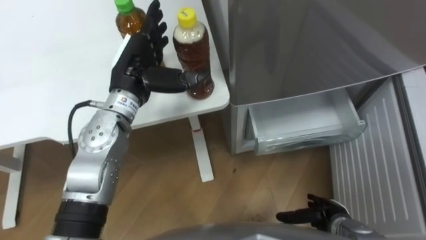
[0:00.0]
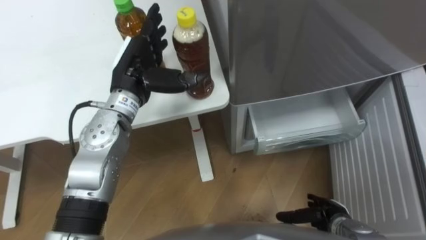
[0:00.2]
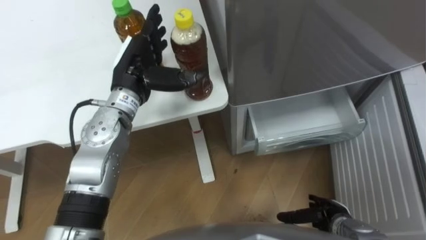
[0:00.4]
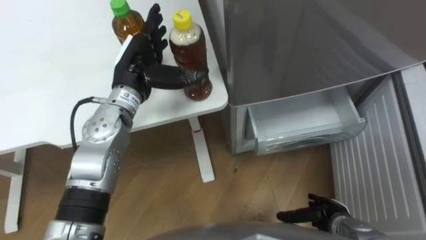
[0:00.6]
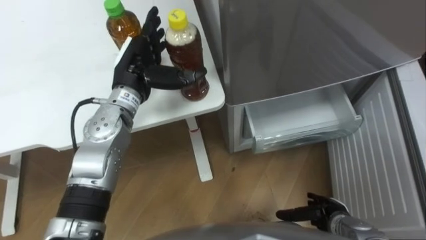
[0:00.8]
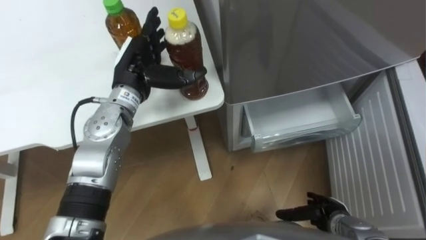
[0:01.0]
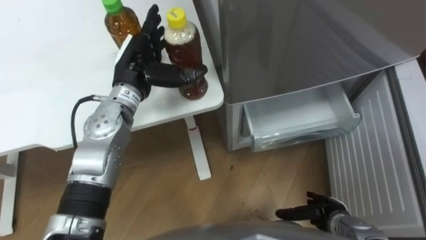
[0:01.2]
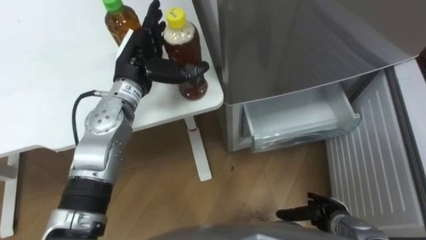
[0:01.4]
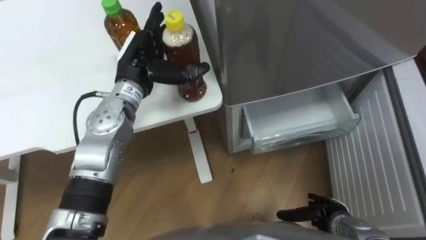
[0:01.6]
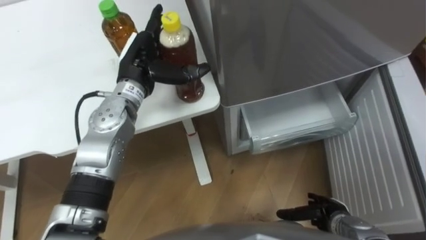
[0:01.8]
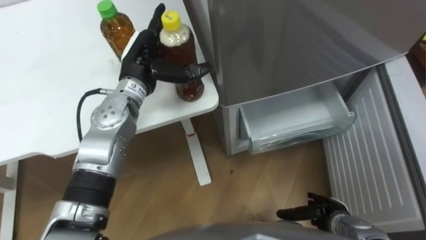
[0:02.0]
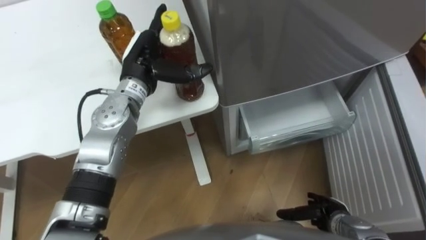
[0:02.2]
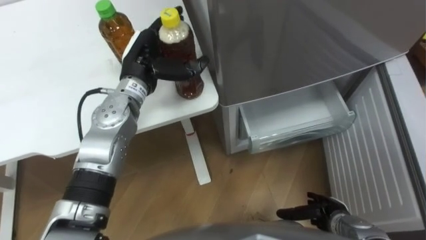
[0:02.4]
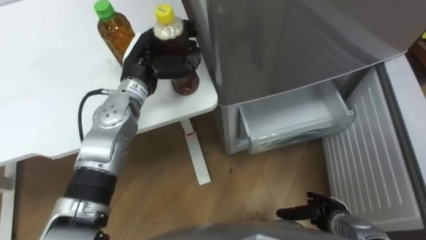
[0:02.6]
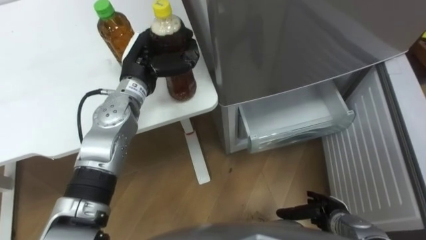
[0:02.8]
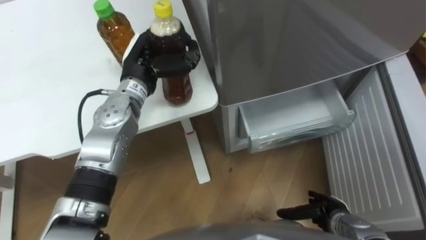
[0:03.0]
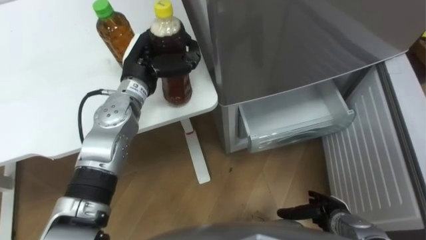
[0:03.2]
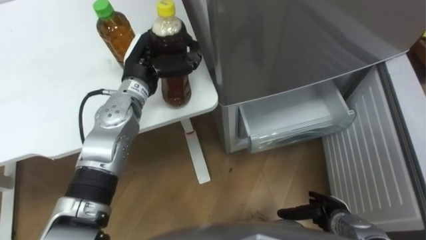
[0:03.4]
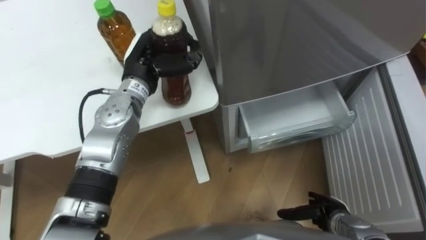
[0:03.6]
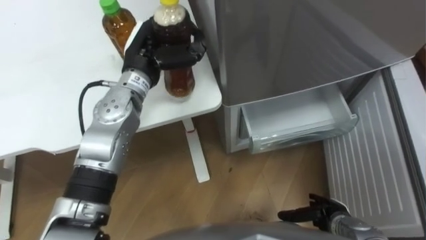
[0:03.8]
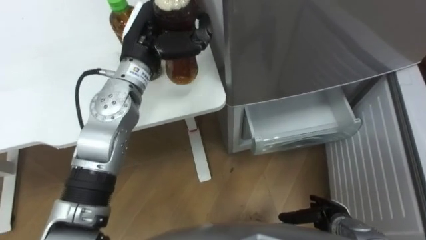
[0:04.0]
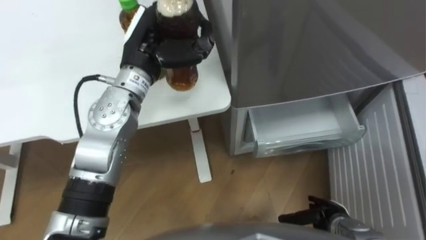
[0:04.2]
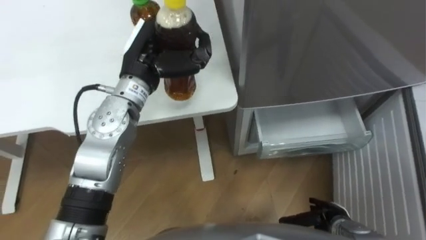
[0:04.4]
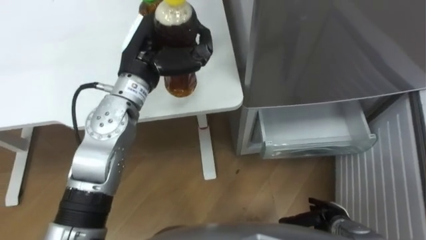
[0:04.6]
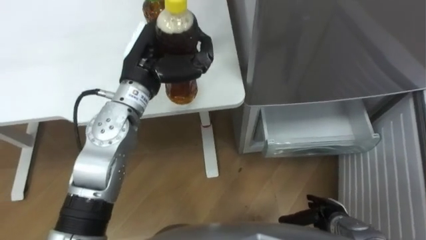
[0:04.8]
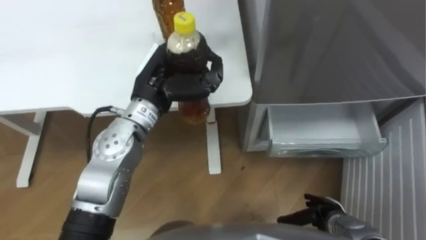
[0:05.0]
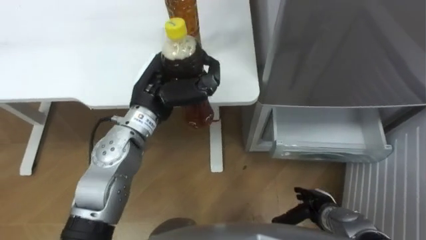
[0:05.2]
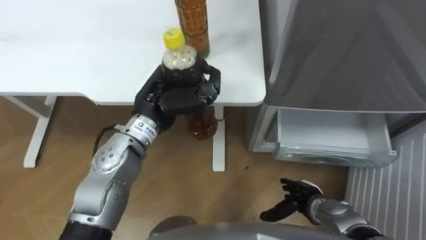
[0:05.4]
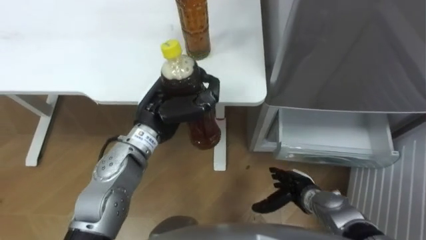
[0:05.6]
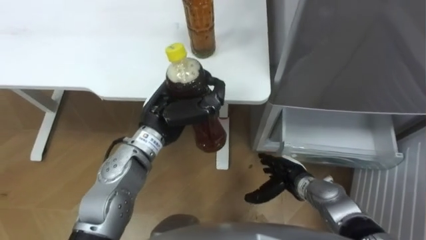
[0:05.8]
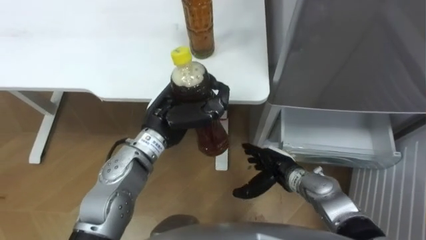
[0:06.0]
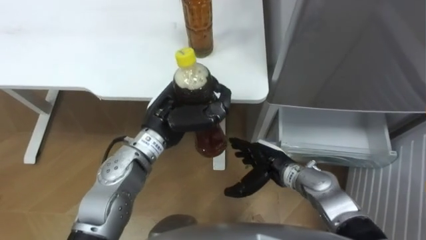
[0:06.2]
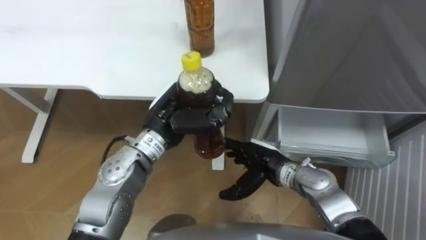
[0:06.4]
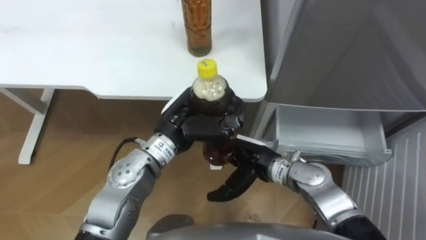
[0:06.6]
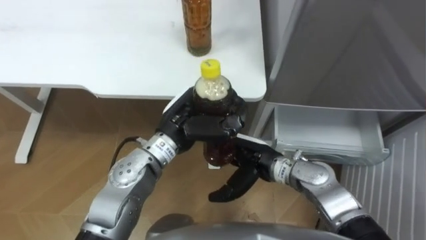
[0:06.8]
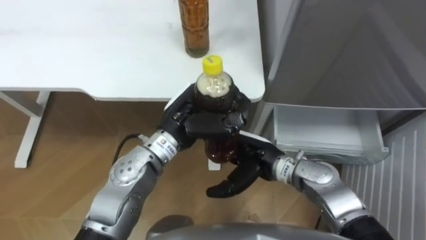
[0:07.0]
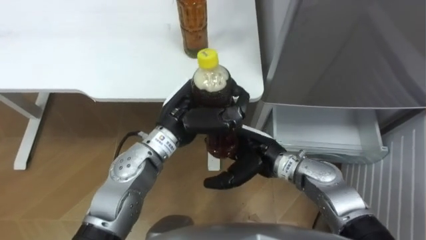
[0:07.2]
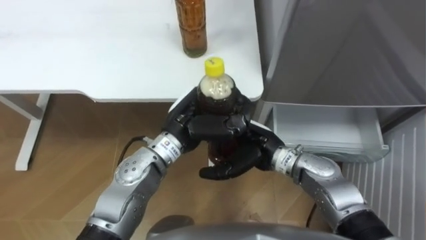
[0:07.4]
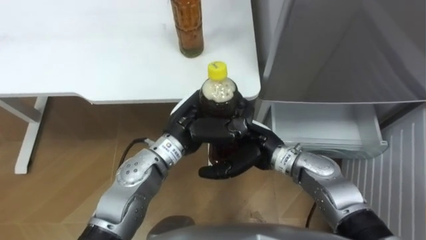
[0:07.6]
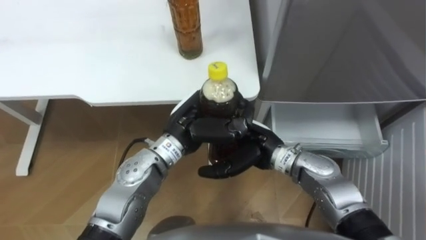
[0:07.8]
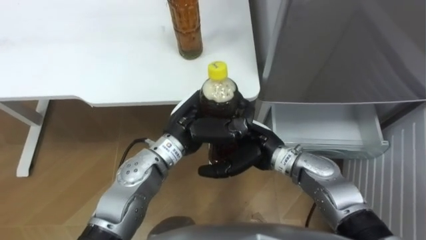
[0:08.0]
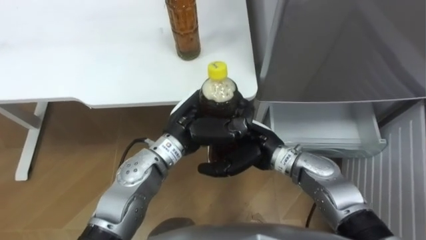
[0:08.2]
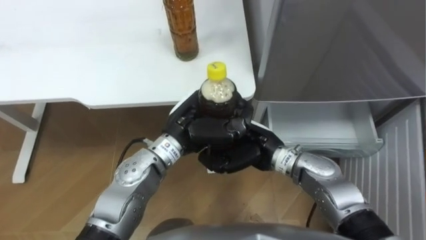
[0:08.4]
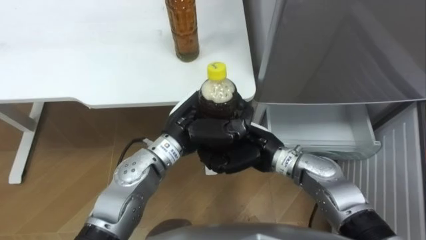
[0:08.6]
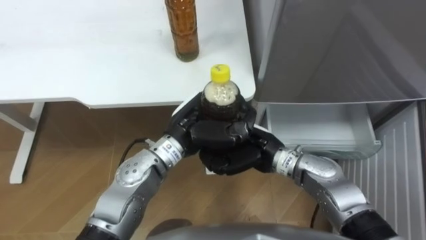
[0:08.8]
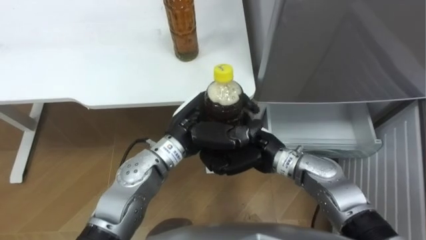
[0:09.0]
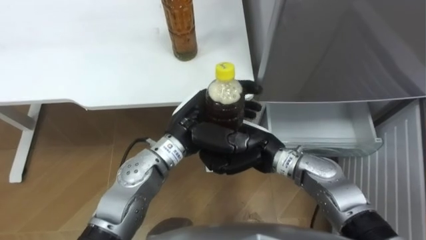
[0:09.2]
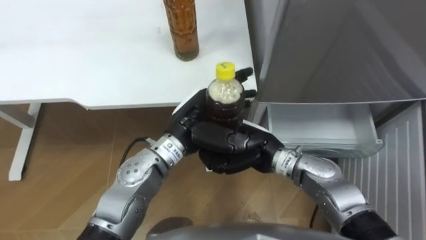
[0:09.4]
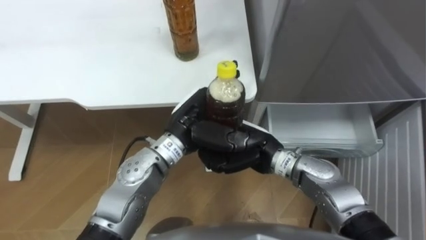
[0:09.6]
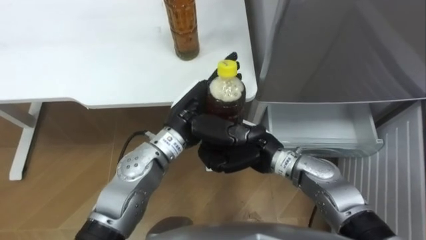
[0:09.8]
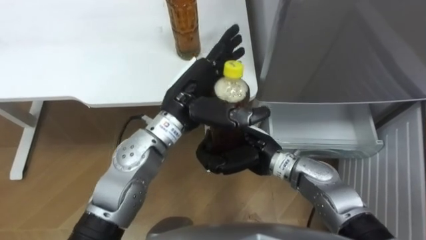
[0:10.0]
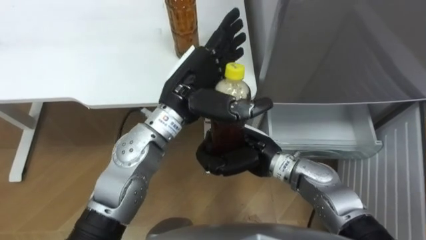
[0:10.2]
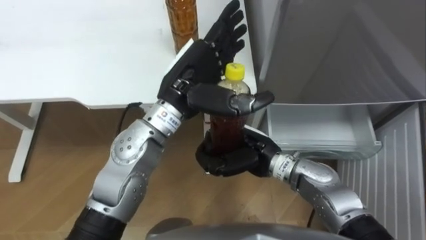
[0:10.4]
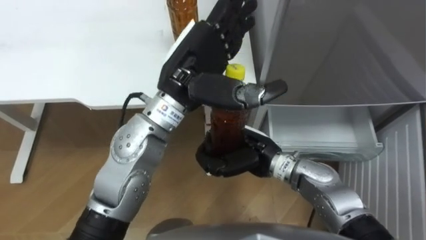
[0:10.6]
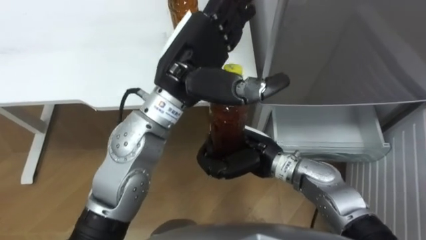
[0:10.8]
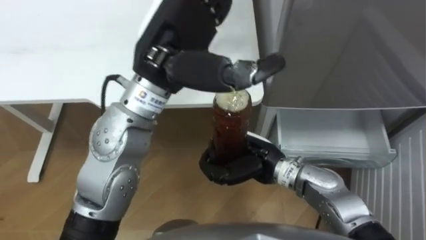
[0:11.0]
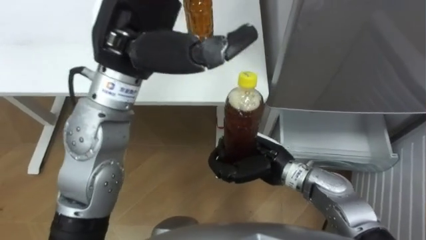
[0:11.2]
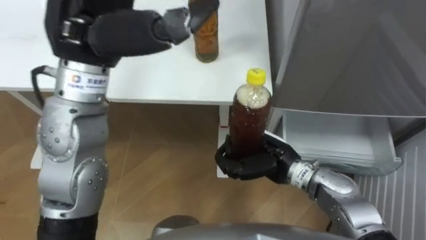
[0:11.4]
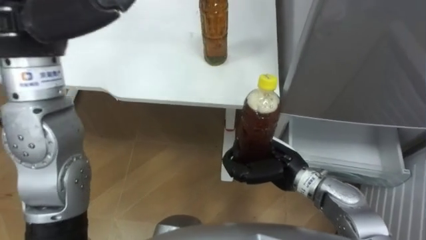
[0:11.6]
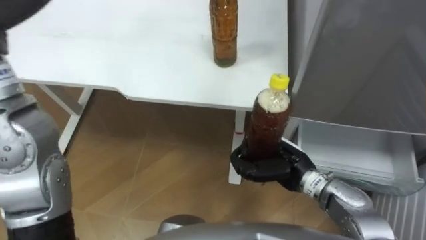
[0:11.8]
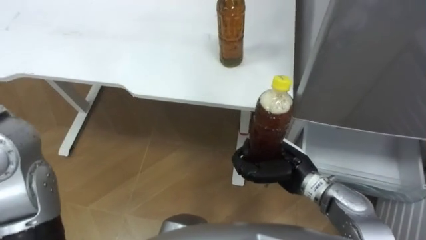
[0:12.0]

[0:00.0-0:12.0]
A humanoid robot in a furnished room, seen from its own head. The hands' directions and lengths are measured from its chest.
Task of the whole recording: Place the drink on the table on the bottom shelf of the refrigerator, then close the drawer and the refrigerator door.
0:01.6 to 0:03.0: The left hand closes up.
0:03.0 to 0:04.4: The left hand moves roughly 5 cm.
0:04.4 to 0:06.0: The left hand goes about 10 cm backward and downward, while the right hand goes about 15 cm to the left, forward and upward.
0:06.0 to 0:07.6: The right hand goes about 10 cm upward and to the left.
0:07.6 to 0:09.0: The right hand closes up.
0:09.0 to 0:10.4: The left hand heads upward, covering roughly 10 cm, and opens up.
0:10.4 to 0:12.0: The right hand heads to the right, covering about 10 cm.

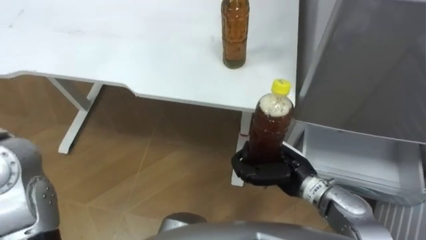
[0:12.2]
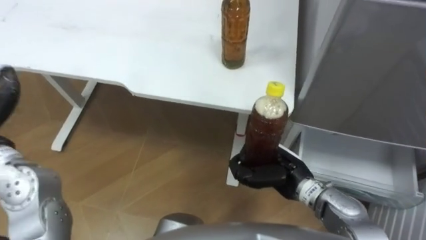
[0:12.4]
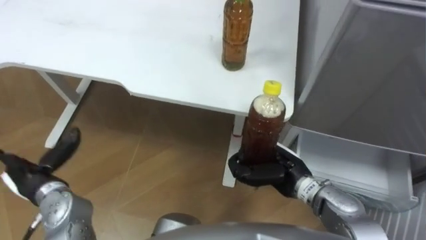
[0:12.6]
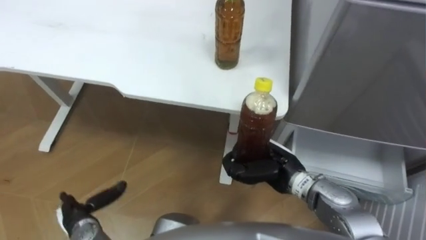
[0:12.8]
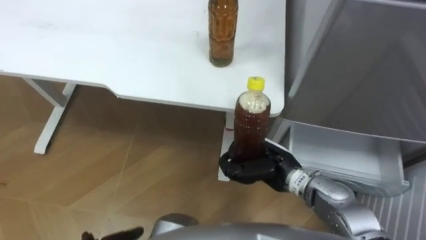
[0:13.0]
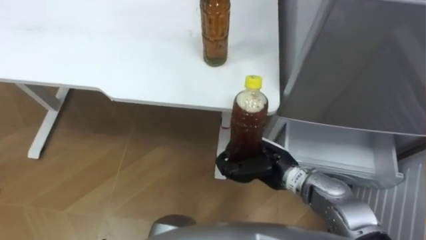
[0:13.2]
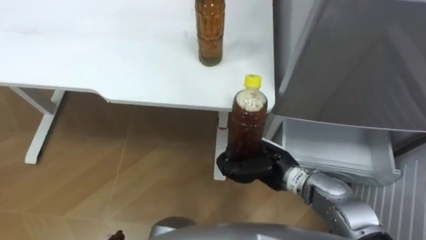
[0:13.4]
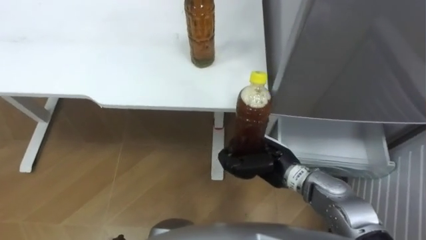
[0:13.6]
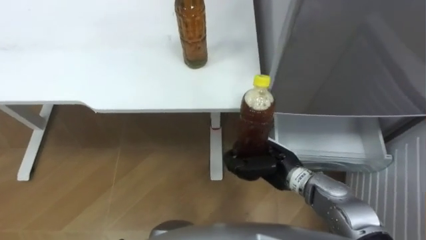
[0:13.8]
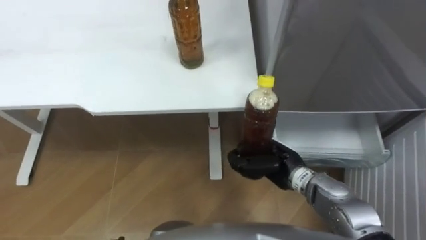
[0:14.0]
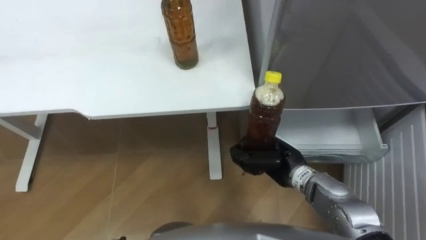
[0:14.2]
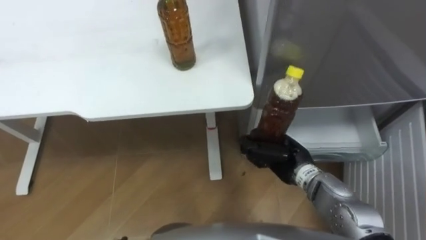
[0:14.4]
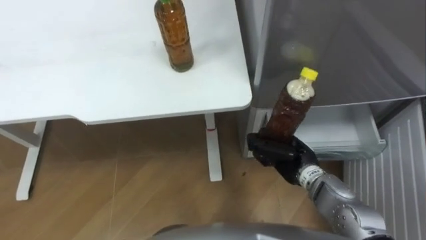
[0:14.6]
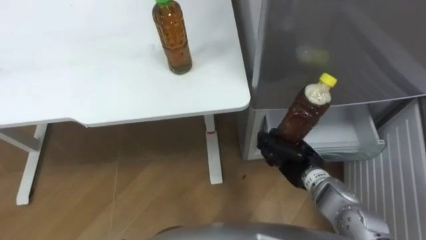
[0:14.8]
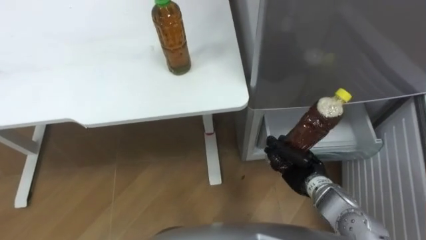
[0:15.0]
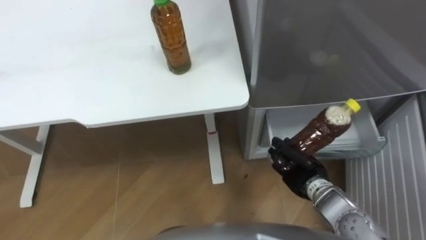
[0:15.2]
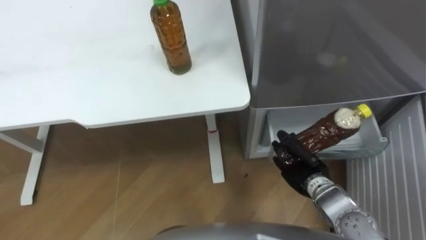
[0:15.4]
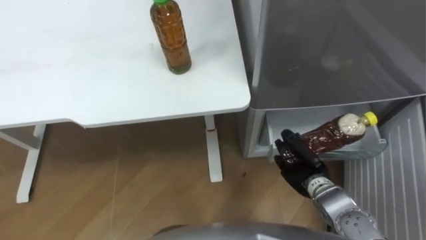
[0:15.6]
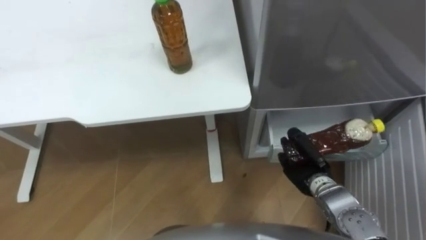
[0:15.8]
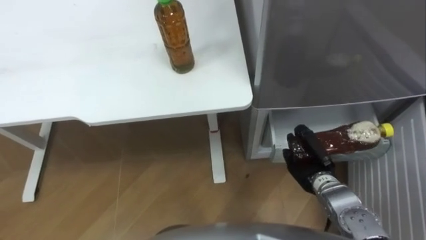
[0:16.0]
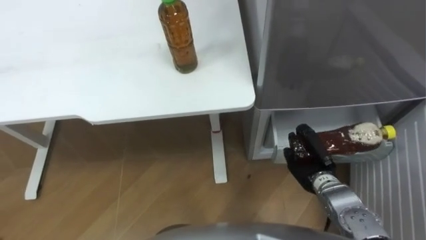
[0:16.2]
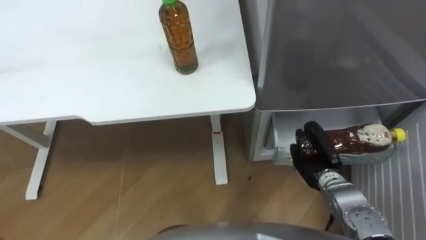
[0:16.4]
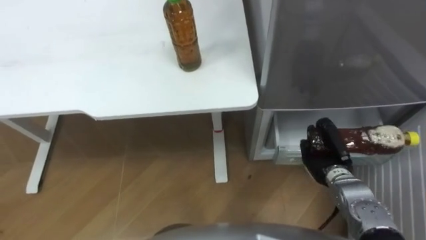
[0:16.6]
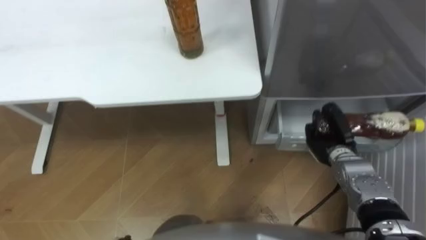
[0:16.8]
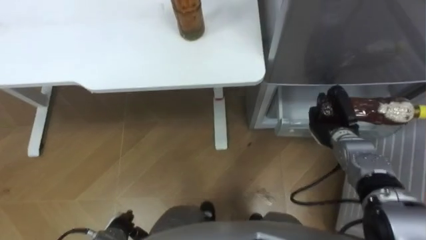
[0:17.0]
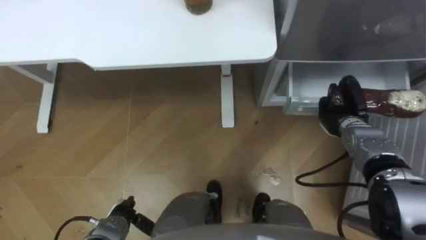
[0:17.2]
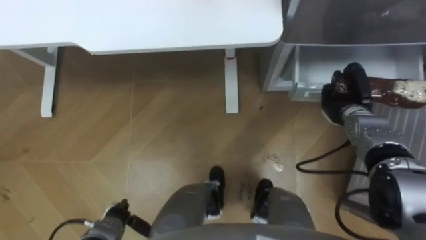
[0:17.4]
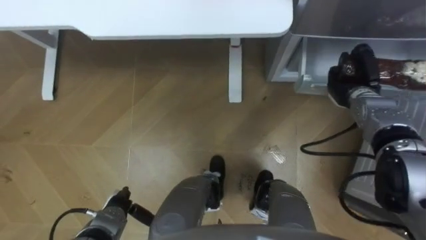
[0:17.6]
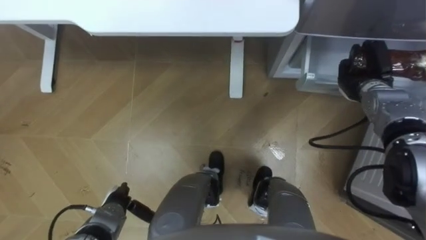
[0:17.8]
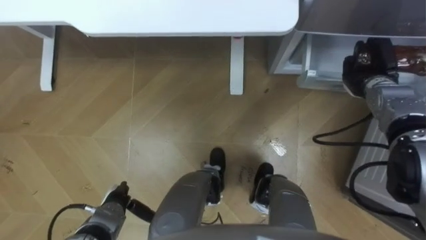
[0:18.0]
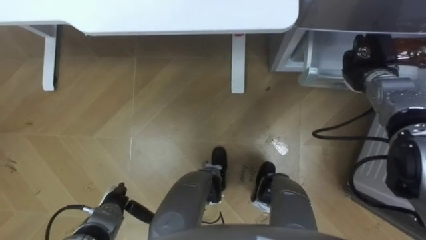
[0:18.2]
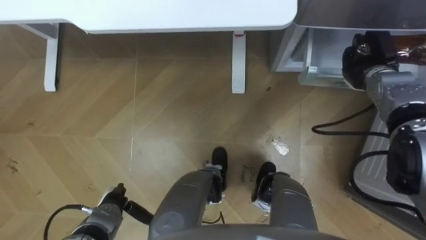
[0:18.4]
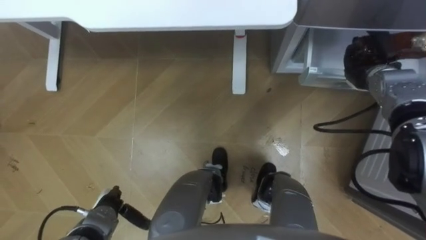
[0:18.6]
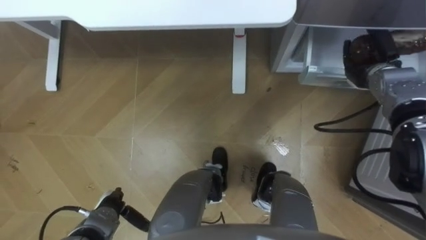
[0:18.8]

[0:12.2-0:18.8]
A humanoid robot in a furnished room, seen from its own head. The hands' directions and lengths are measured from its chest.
Task of the whole recording: Place the drink on the table on the bottom shelf of the refrigerator, then close the drawer and the refrigerator door.
0:13.8 to 0:15.4: The right hand travels to the right by approximately 10 cm.
0:15.4 to 0:17.2: The right hand goes about 15 cm forward and to the right.
0:17.2 to 0:18.8: The right hand moves upward and forward, some 10 cm, and opens its fingers.
